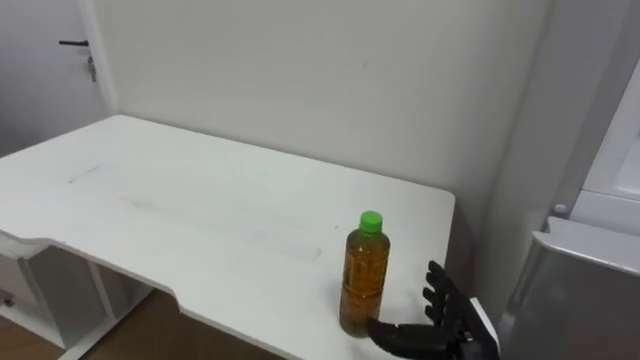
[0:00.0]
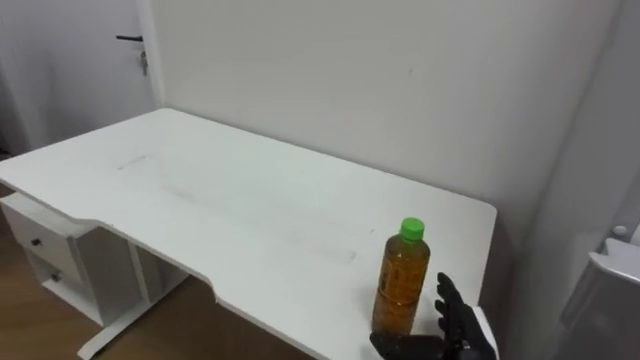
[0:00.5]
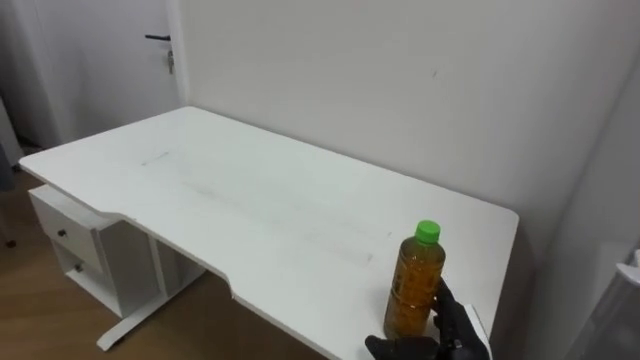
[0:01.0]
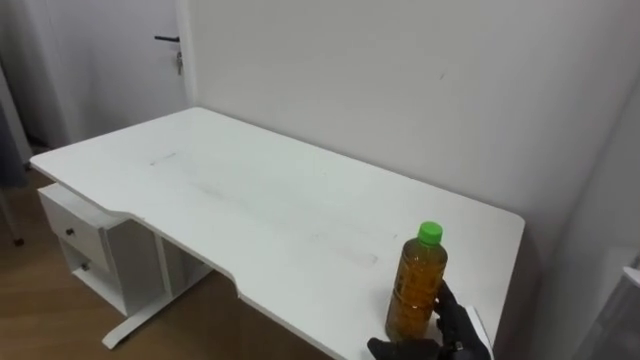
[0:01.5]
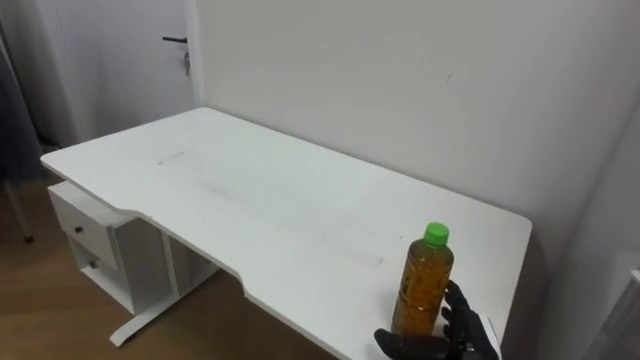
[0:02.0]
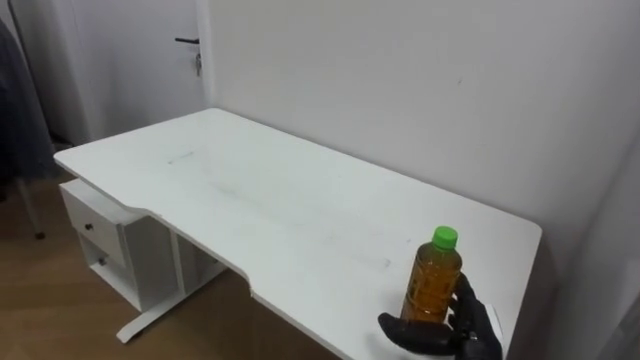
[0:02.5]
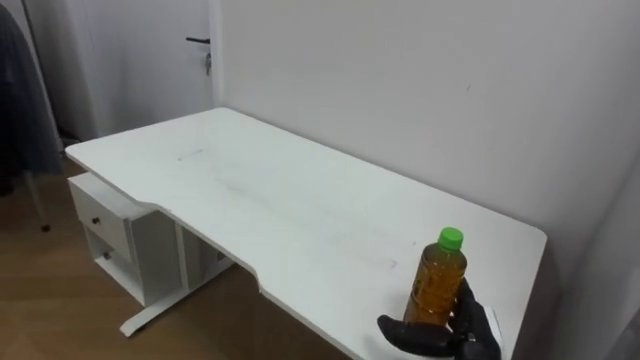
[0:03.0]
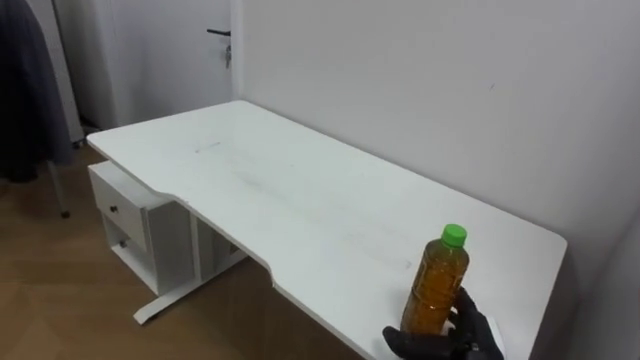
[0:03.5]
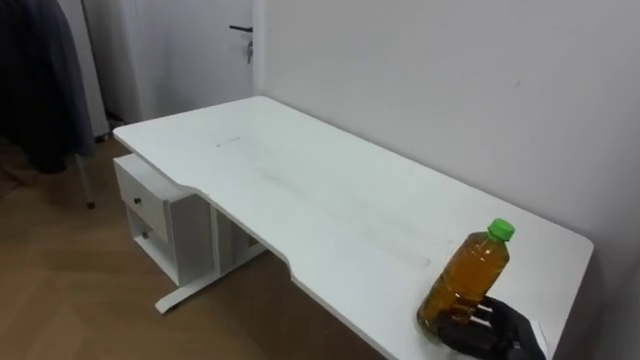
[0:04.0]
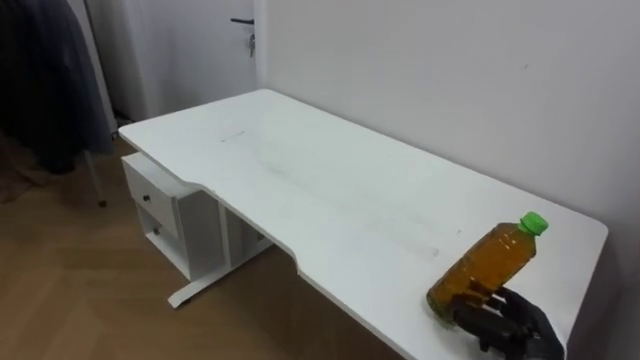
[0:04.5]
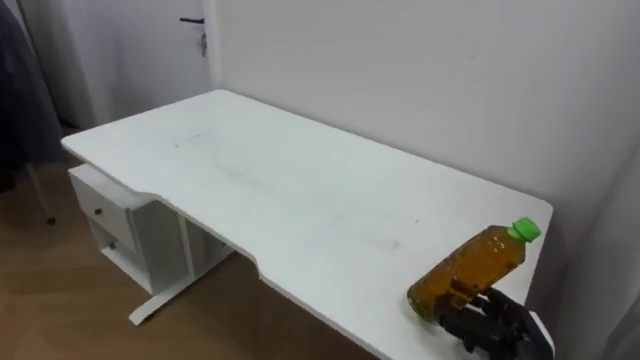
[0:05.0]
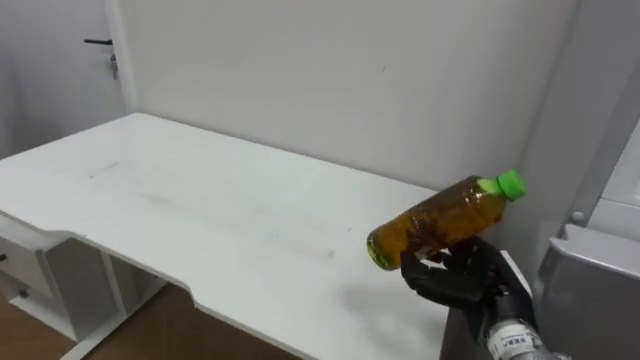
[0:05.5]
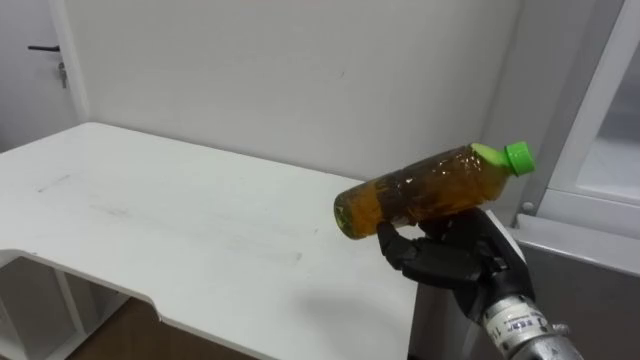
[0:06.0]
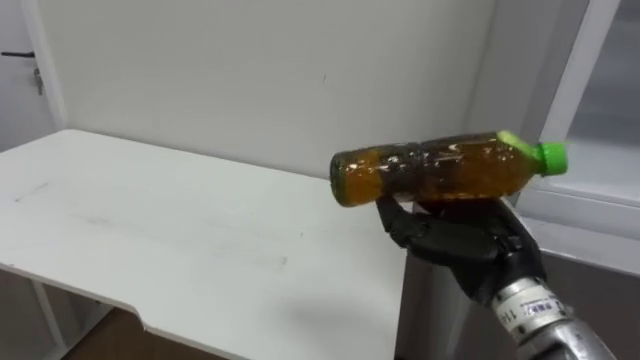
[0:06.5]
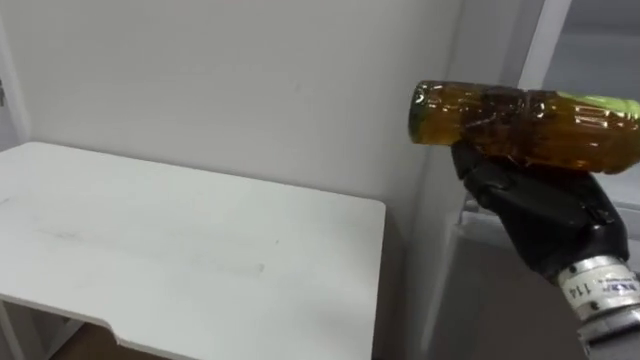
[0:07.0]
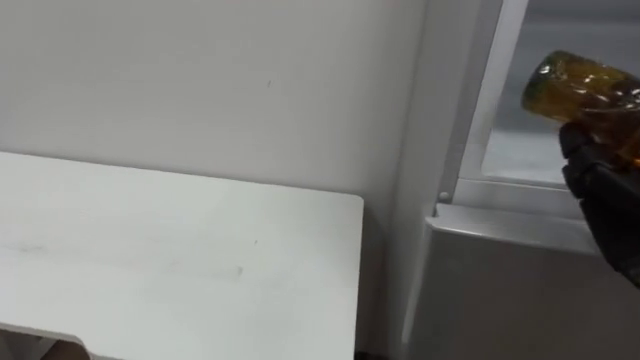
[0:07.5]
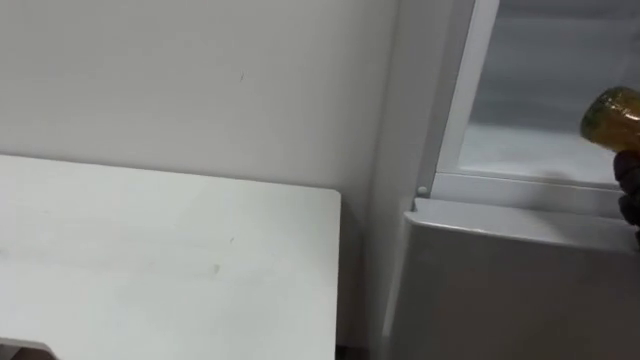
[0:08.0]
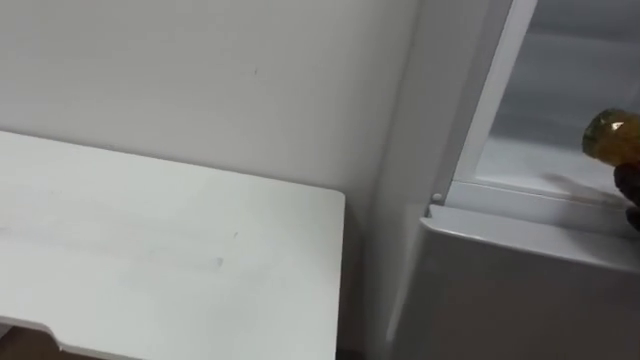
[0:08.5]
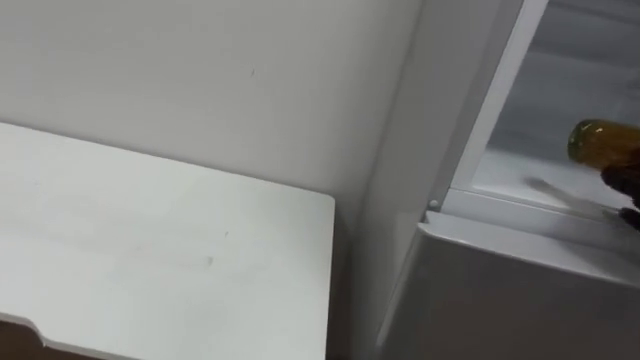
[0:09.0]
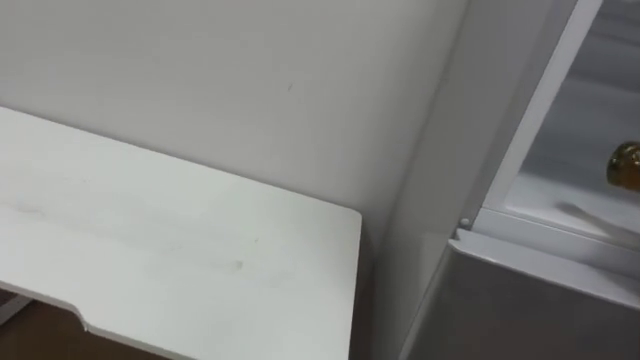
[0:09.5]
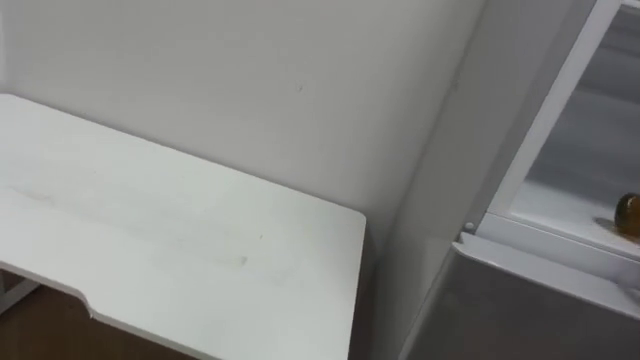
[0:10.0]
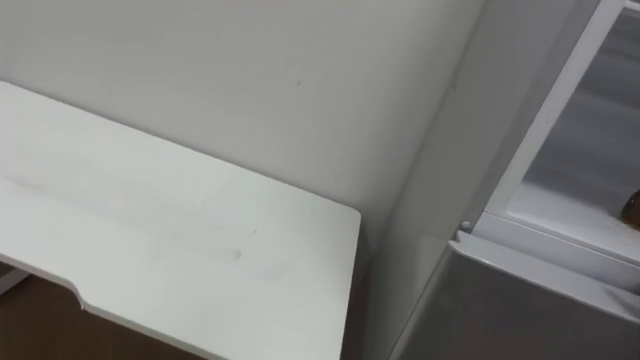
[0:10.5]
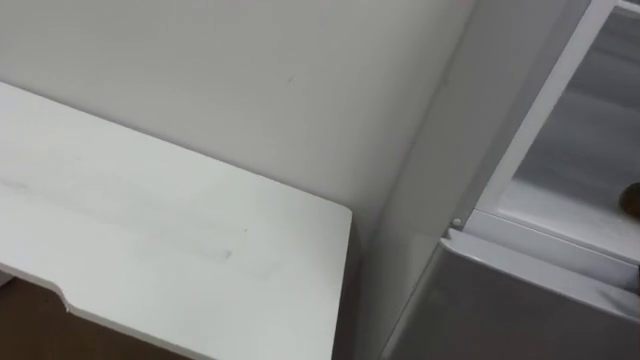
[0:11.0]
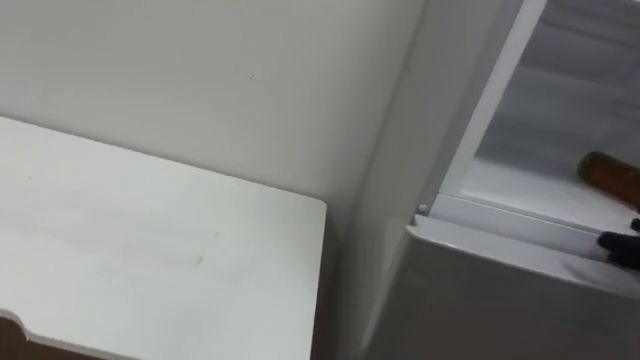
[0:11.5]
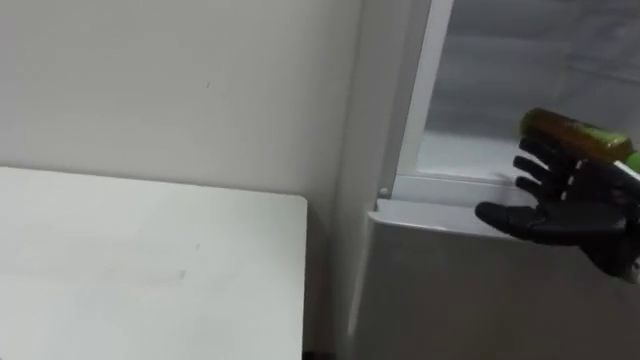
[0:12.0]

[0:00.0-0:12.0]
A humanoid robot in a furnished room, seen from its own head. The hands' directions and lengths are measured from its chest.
Task of the whole recording: Open the upper refrigerator door, put the drink from the table into the refrigerator, and then close the refrigerator door.
0:02.0 to 0:04.0: The right hand goes some 5 cm to the right, and closes its fingers.
0:04.0 to 0:06.0: The right hand is displaced upward and to the left by about 15 cm.

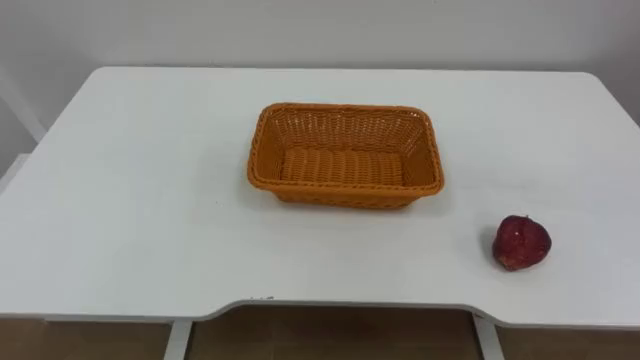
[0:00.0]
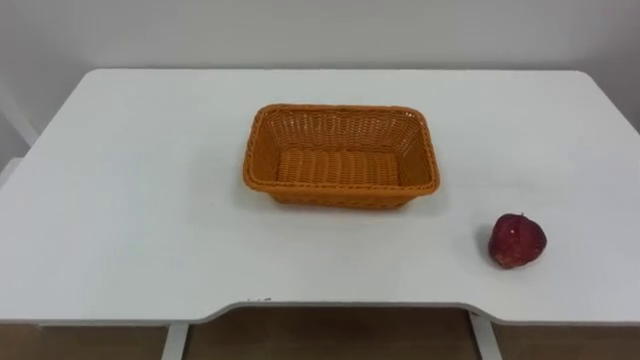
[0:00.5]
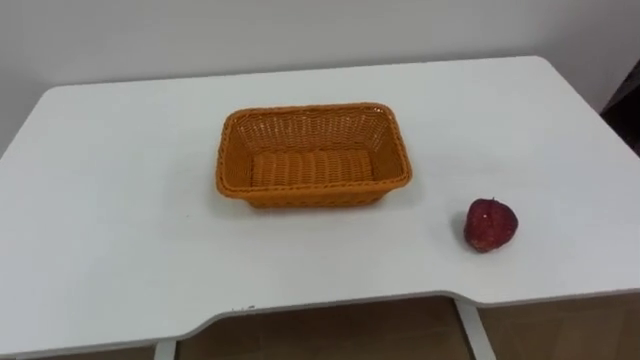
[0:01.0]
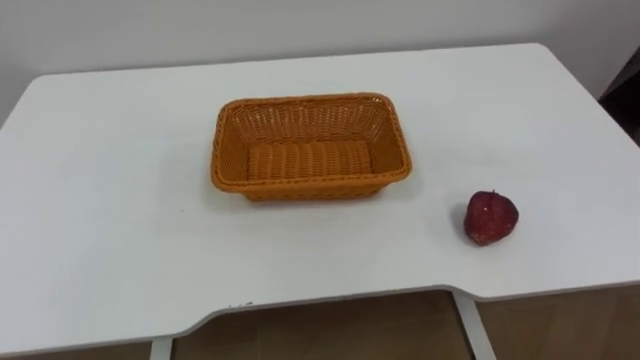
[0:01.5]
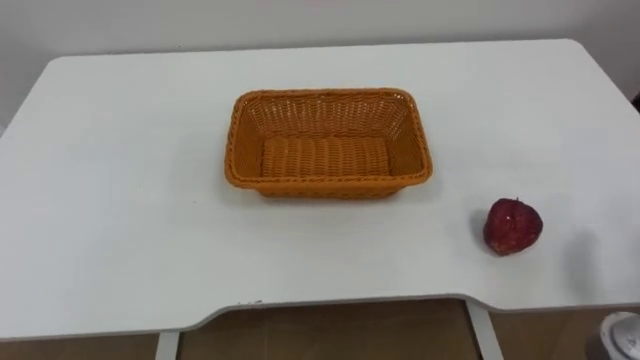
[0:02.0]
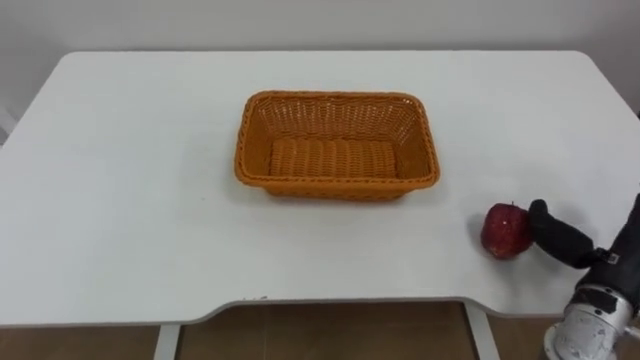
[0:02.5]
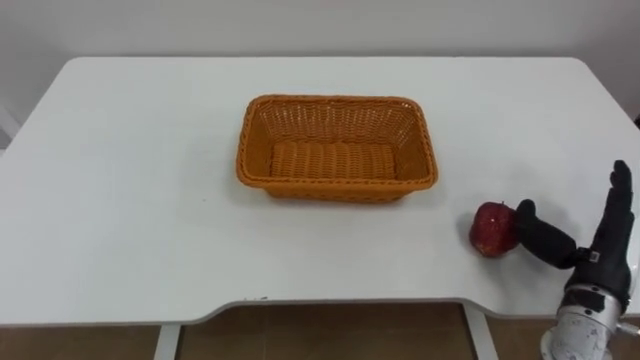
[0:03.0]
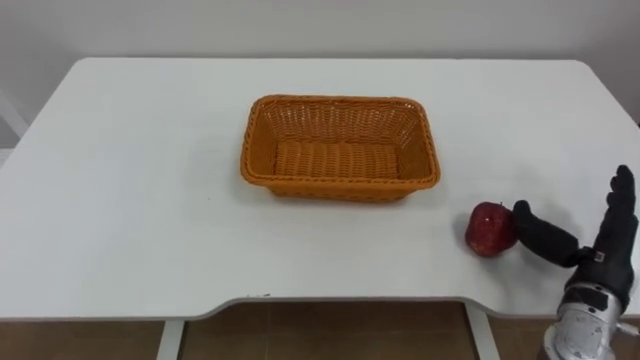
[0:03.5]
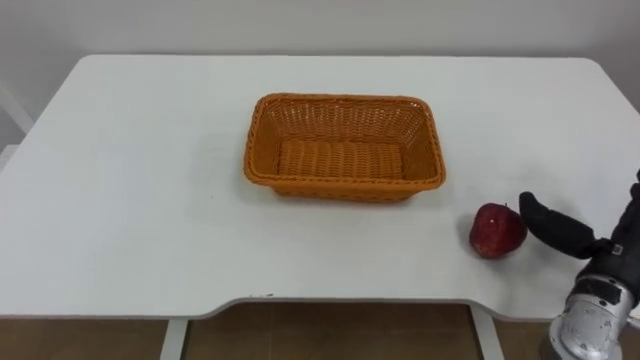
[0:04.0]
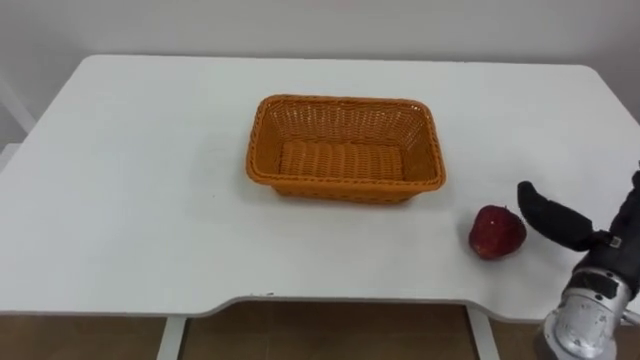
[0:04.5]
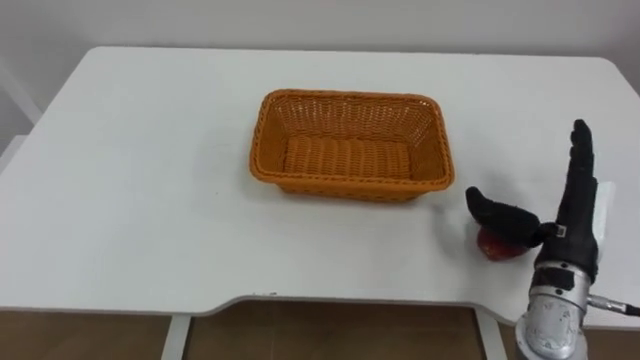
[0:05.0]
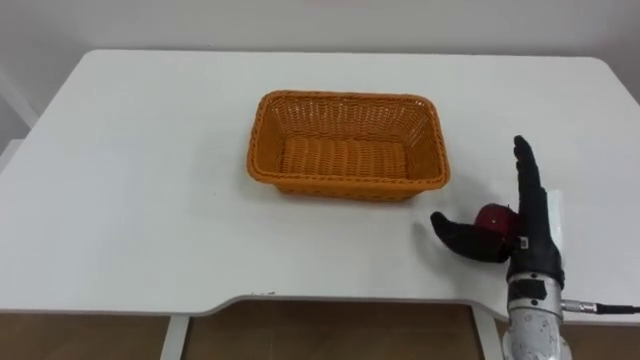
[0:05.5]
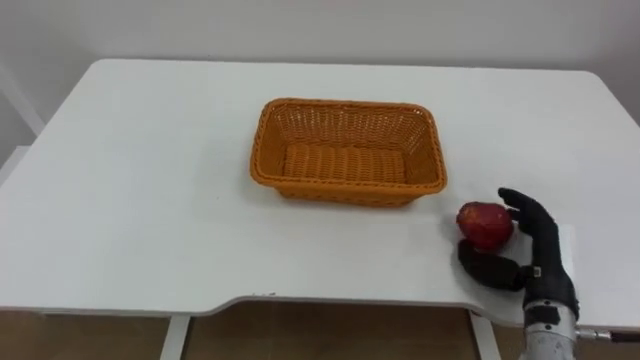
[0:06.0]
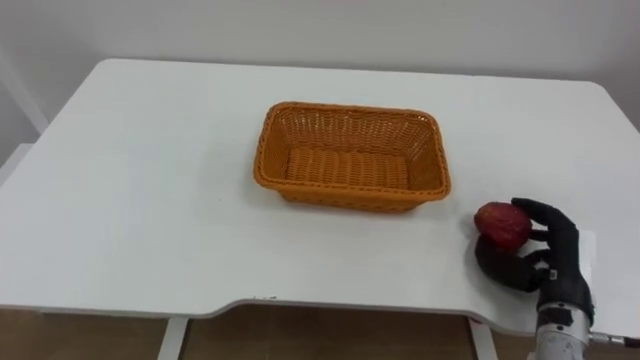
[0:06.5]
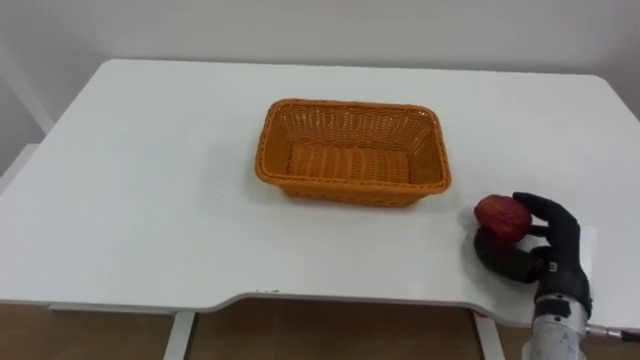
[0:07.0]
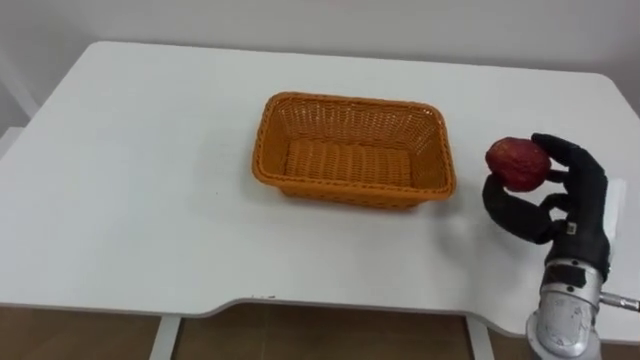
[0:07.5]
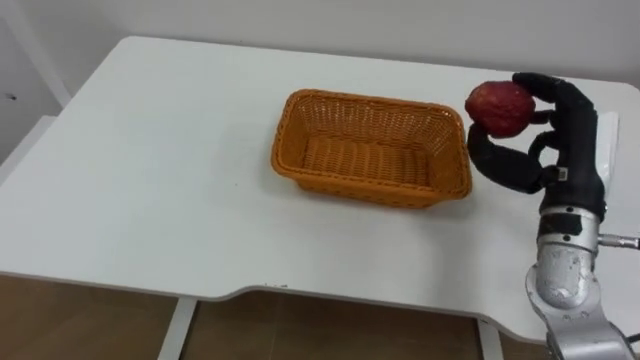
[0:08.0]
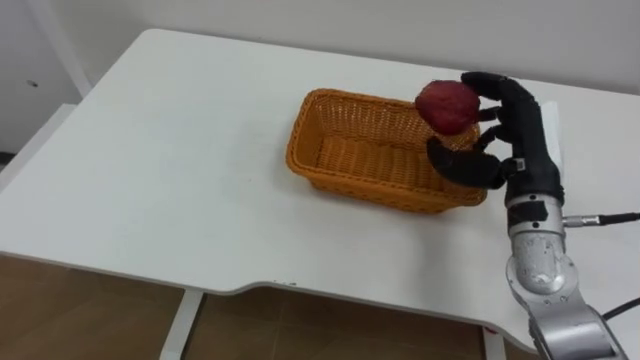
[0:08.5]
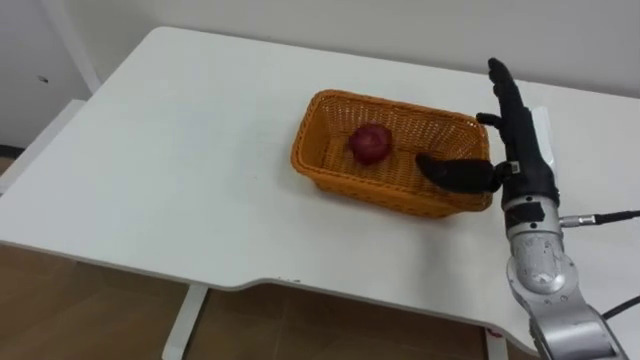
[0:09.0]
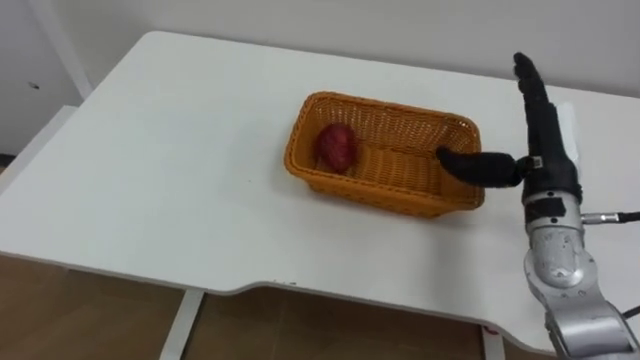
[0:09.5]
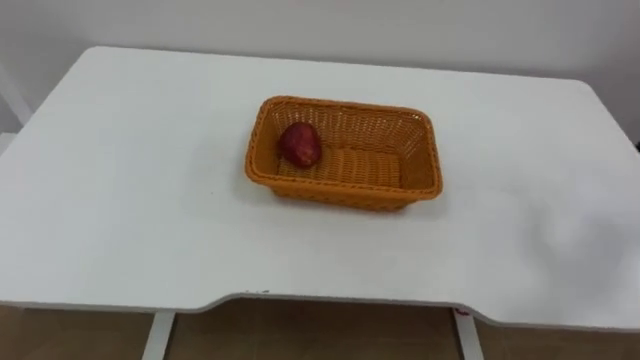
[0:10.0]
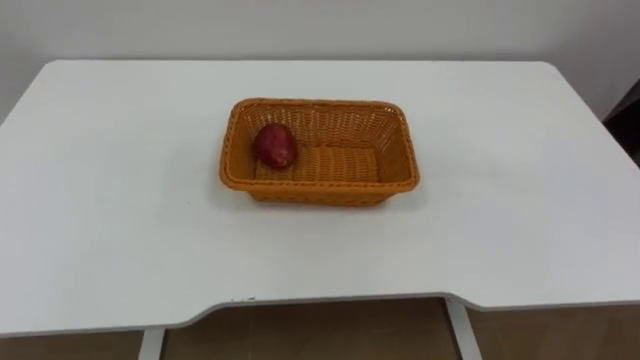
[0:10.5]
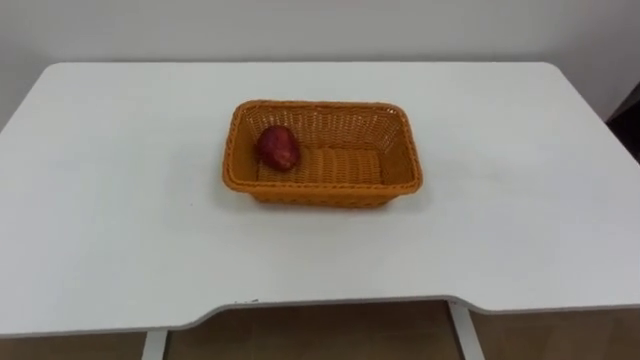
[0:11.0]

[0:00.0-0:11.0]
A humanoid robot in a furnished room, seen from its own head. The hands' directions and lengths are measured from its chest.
Task of the whole recording: Pick the apple and place it in the box.
0:03.5 to 0:05.5: The right hand shifts approximately 10 cm to the left.
0:05.5 to 0:07.5: The right hand moves roughly 5 cm downward and comes back, and closes its fingers.
0:07.5 to 0:09.0: The right hand moves forward and to the left, approximately 10 cm, and opens up.
